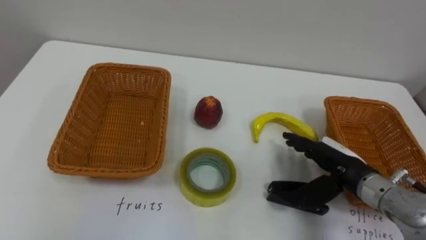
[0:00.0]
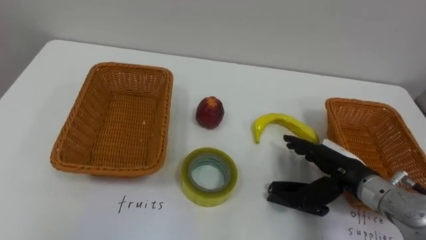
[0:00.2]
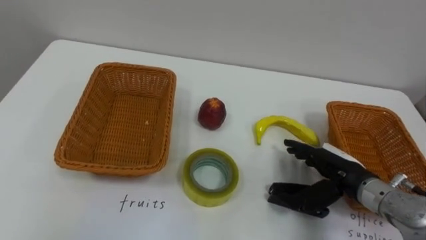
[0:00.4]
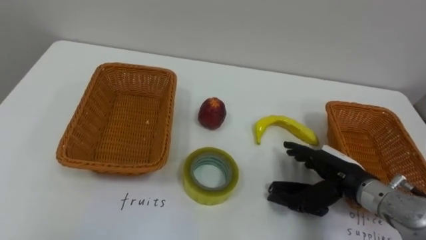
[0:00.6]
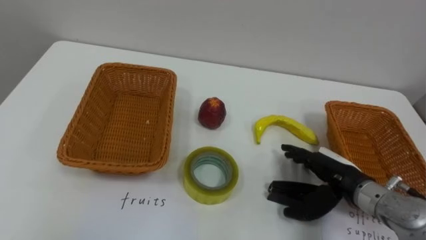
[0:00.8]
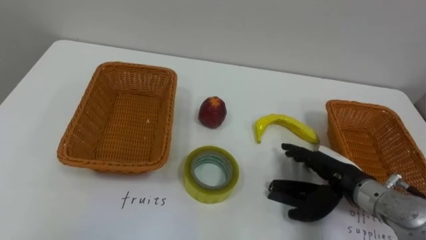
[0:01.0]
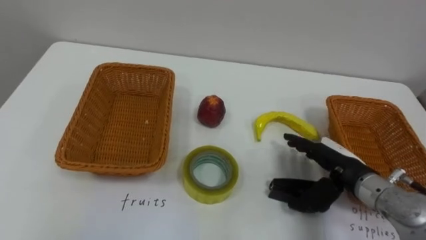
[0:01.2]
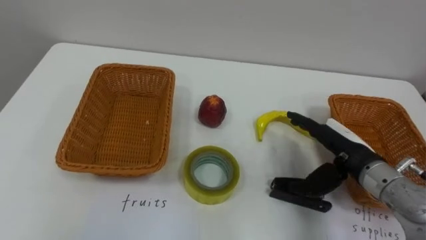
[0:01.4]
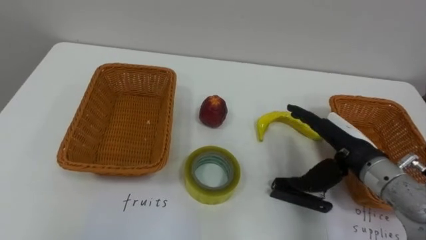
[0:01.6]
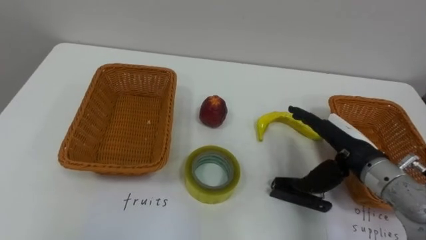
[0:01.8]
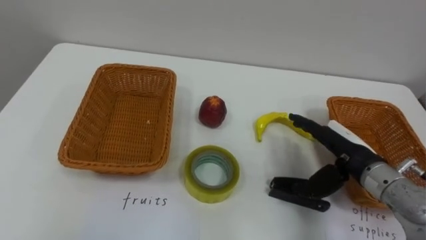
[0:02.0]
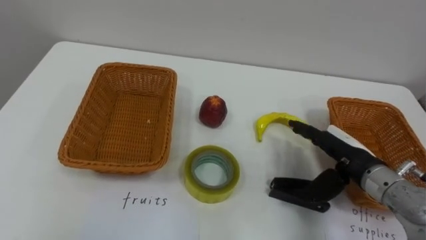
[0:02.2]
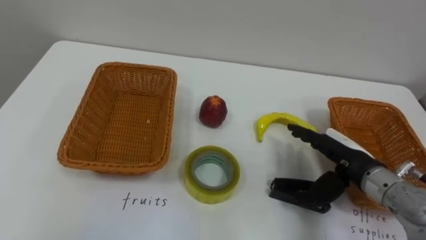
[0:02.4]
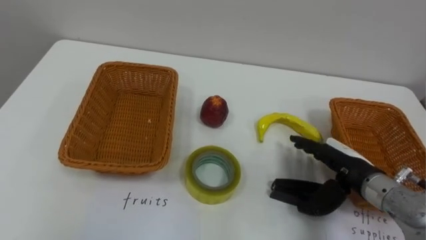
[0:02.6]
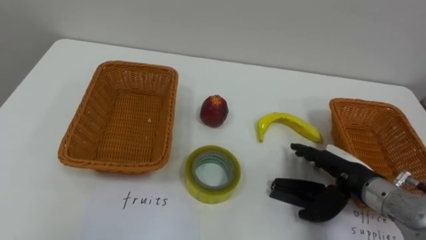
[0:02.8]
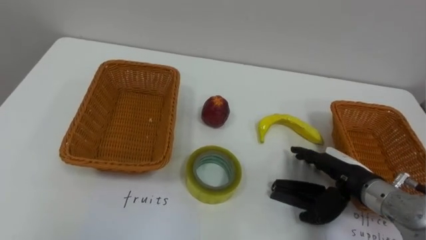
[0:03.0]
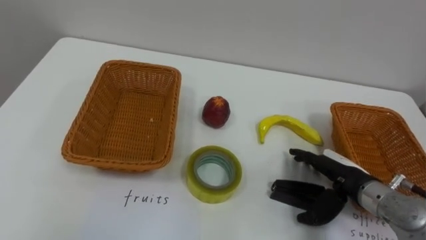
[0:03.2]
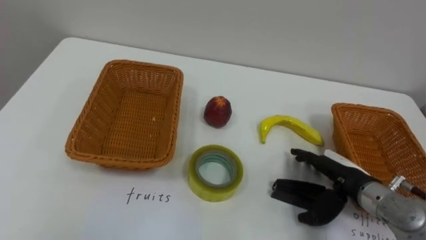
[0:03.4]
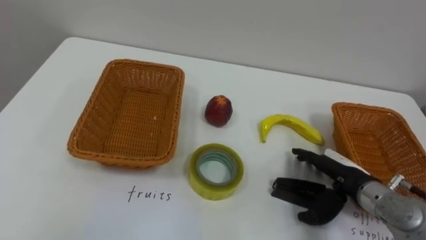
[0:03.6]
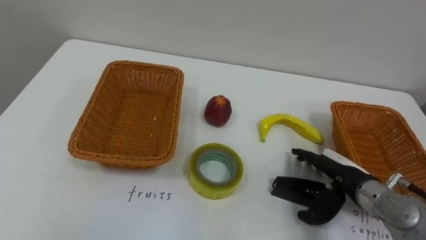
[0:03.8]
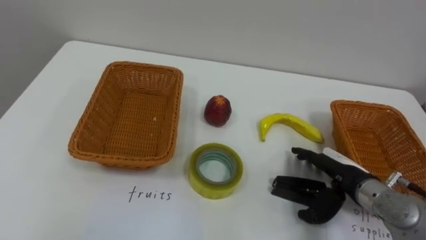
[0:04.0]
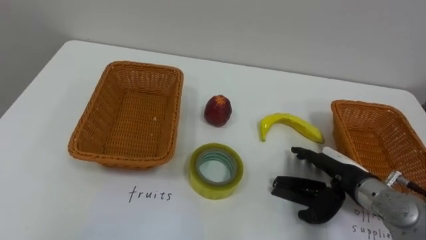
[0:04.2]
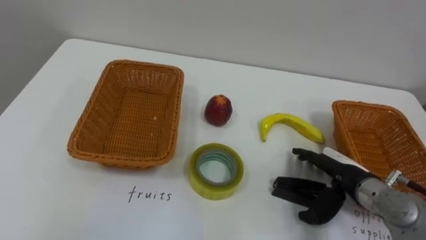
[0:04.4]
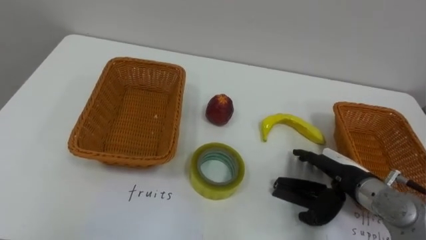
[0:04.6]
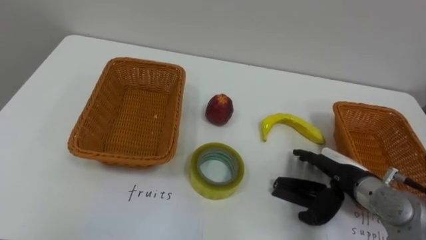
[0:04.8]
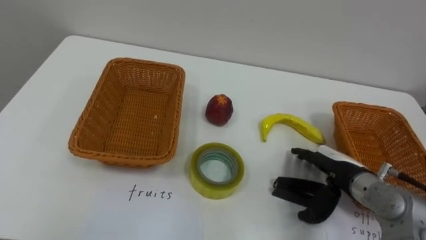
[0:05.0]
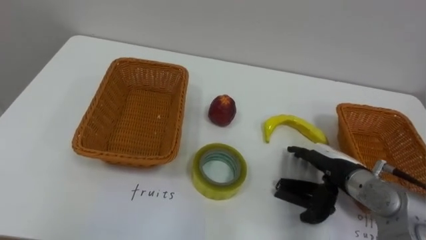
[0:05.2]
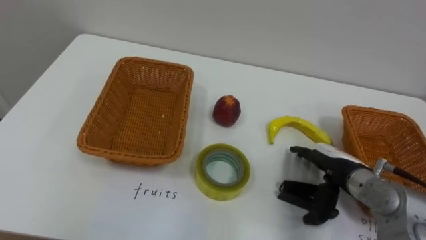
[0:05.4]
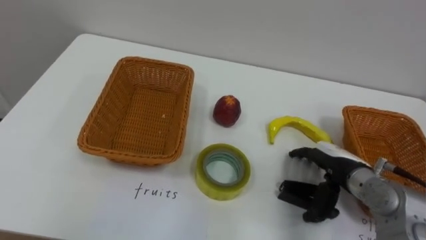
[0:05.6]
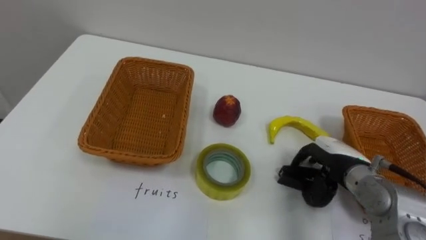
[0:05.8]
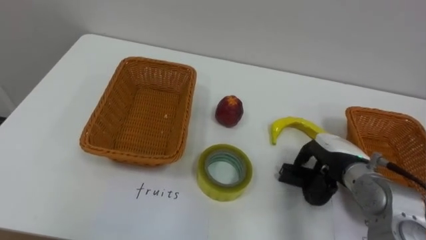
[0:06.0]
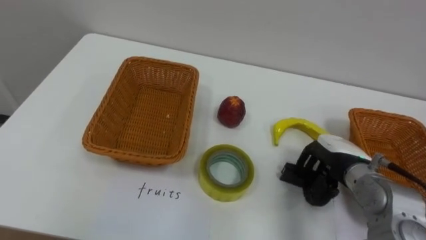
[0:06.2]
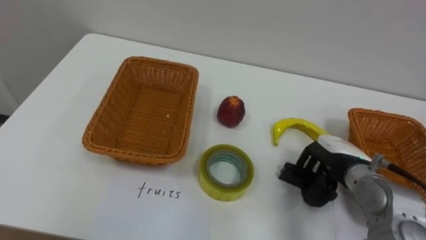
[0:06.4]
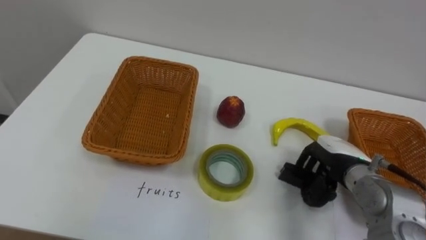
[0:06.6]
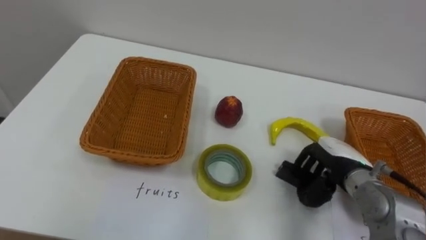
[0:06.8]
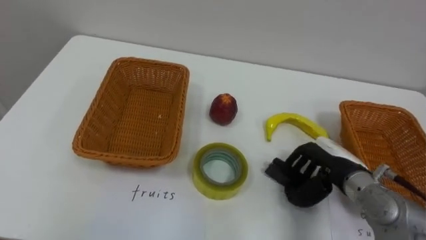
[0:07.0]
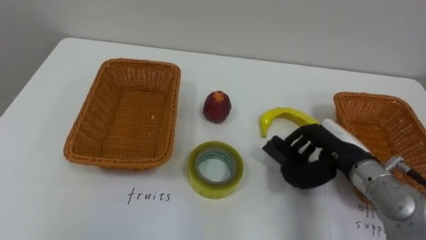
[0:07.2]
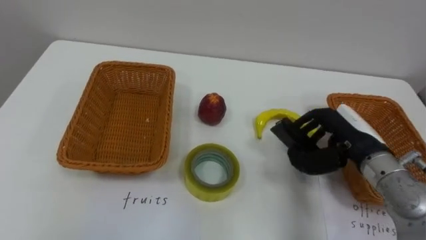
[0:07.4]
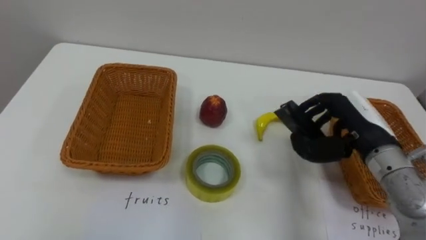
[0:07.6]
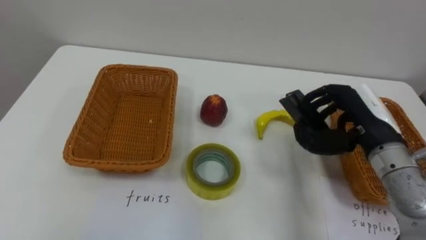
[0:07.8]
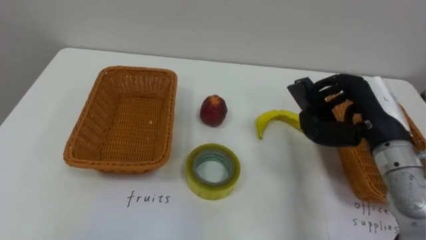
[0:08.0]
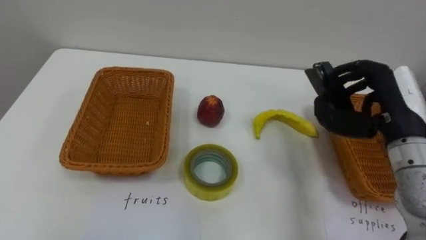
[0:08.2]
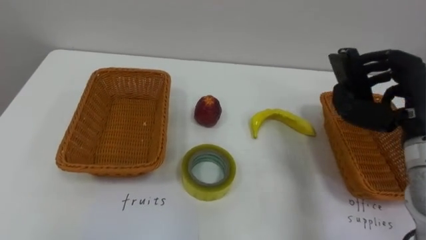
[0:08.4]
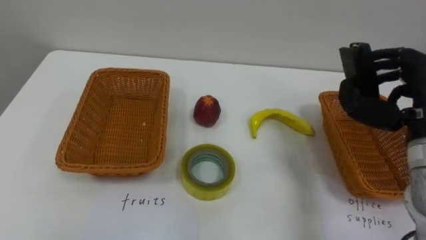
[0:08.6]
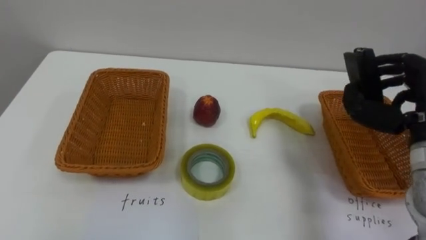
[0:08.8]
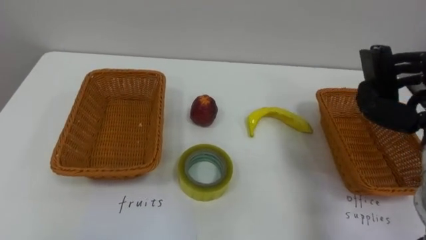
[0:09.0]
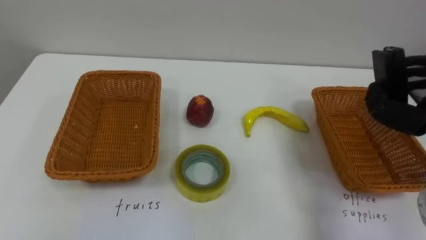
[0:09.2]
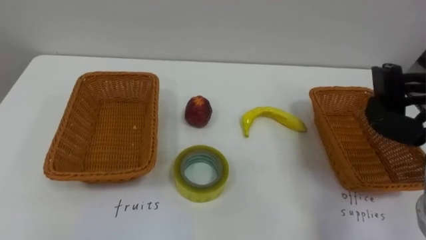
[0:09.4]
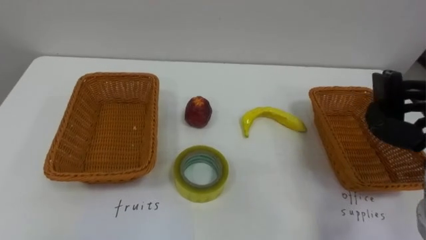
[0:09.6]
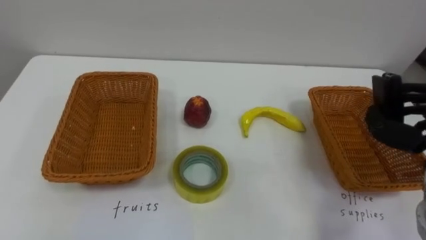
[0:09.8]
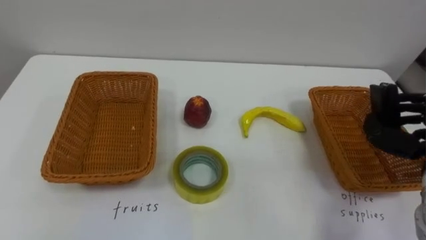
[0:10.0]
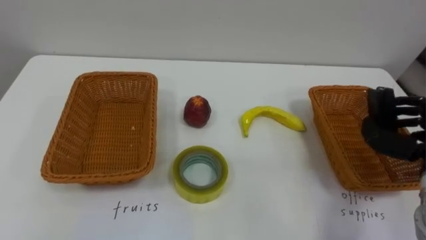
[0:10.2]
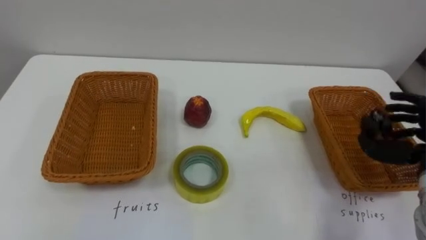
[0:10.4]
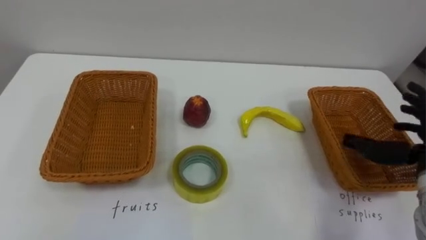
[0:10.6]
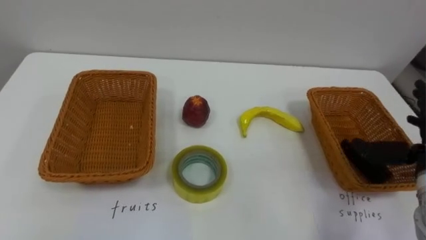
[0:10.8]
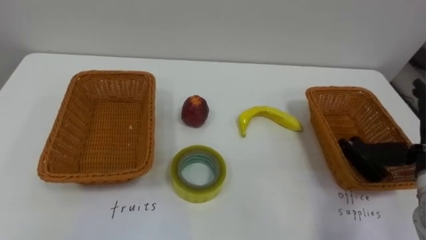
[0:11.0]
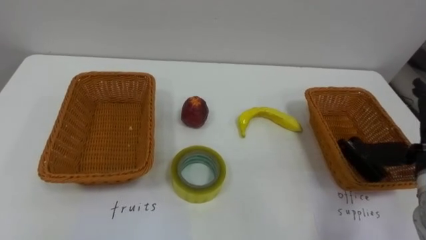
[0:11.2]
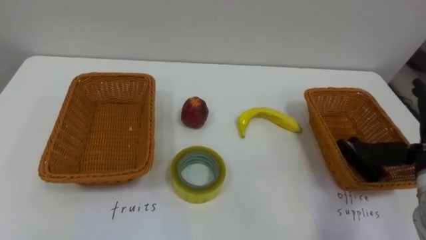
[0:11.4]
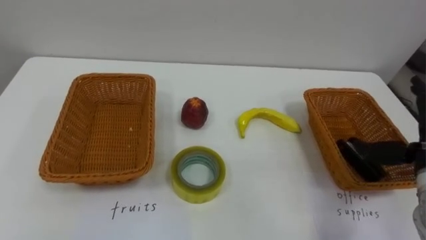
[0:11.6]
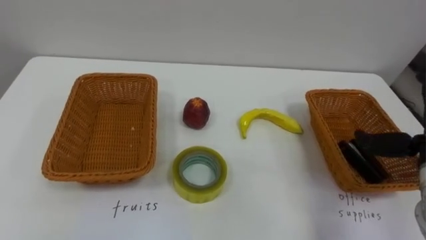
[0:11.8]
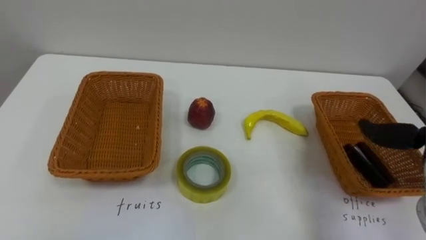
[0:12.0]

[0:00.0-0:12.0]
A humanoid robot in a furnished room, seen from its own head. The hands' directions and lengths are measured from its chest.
Task of the whole recording: Separate the items on the table and place them into the two baskets.
0:01.6 to 0:03.0: The right hand shifts approximately 5 cm downward.
0:04.4 to 0:06.0: The right hand closes.
0:06.0 to 0:07.6: The right hand goes approximately 10 cm upward.

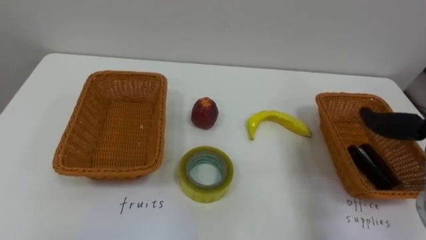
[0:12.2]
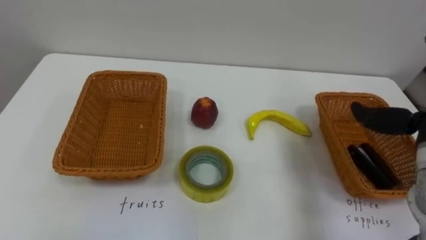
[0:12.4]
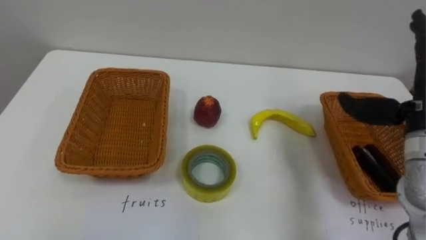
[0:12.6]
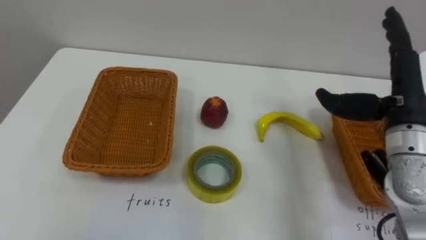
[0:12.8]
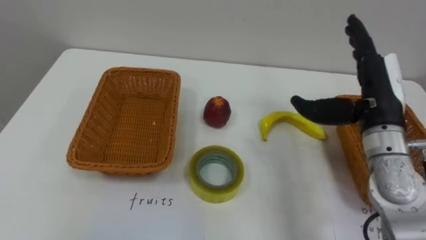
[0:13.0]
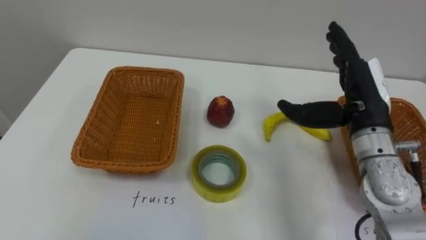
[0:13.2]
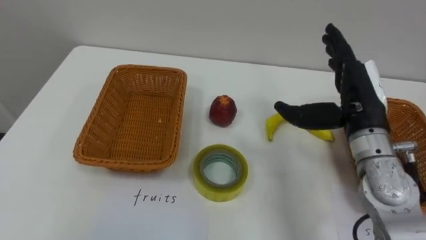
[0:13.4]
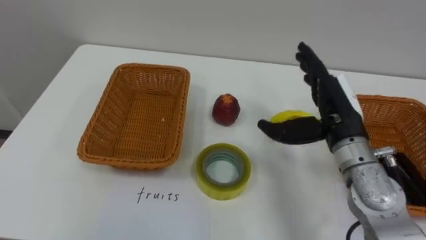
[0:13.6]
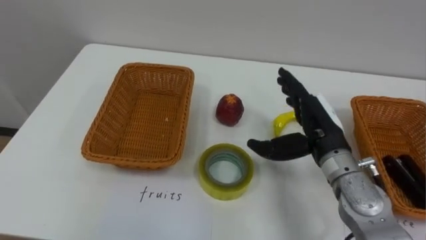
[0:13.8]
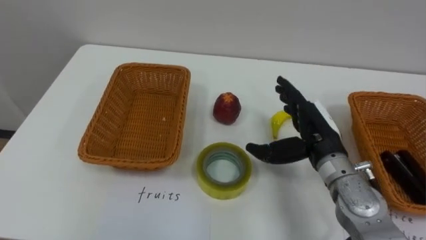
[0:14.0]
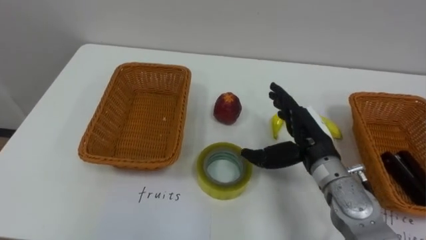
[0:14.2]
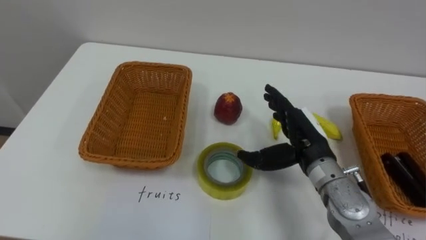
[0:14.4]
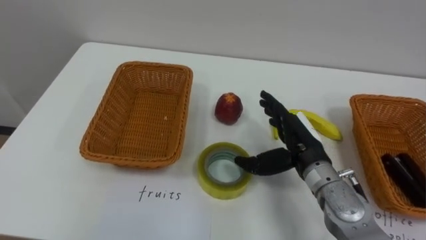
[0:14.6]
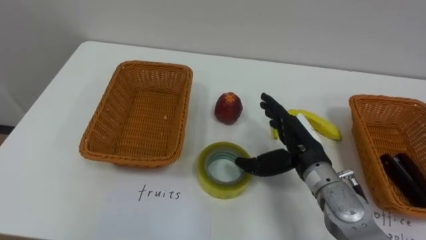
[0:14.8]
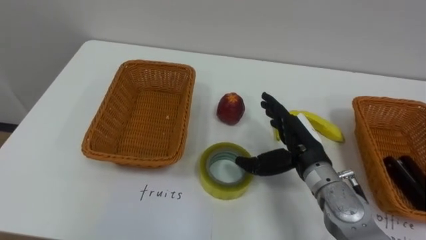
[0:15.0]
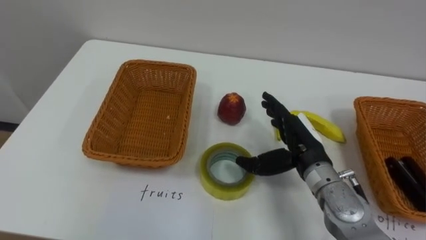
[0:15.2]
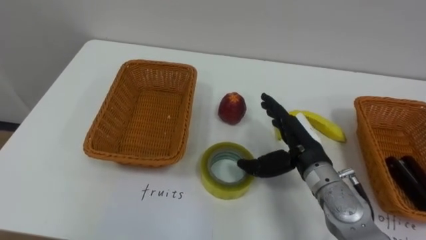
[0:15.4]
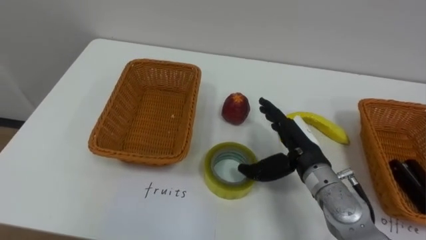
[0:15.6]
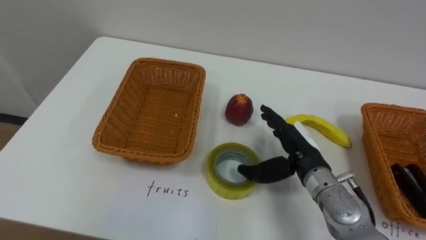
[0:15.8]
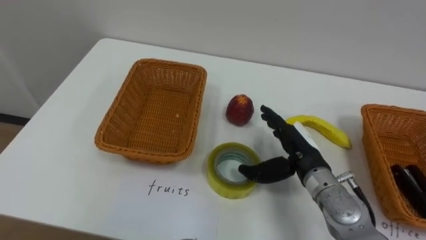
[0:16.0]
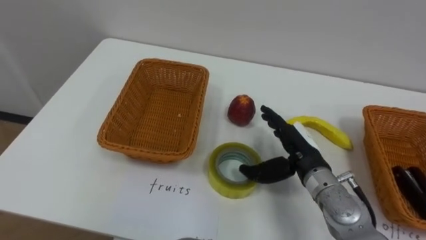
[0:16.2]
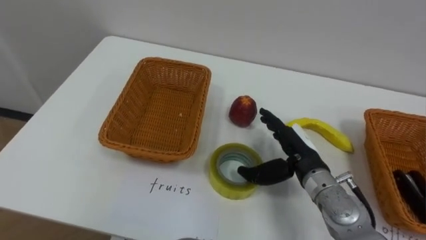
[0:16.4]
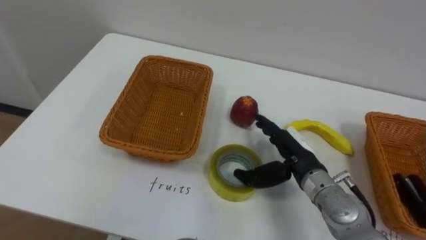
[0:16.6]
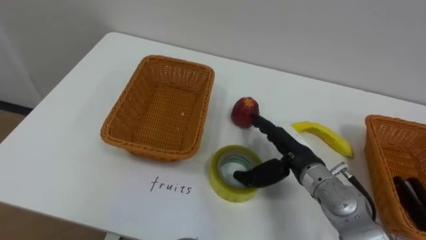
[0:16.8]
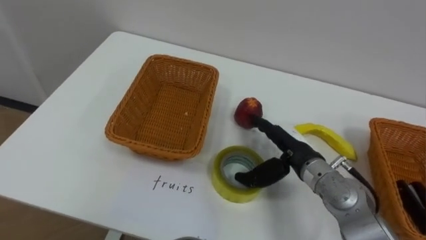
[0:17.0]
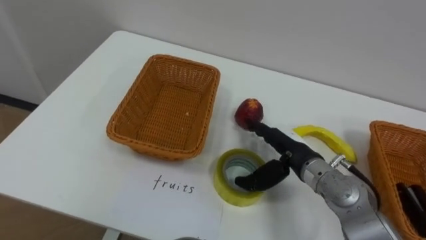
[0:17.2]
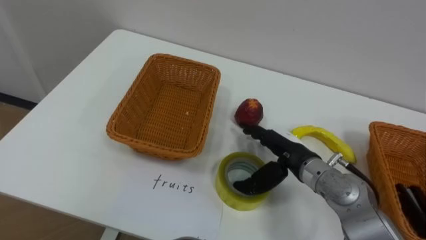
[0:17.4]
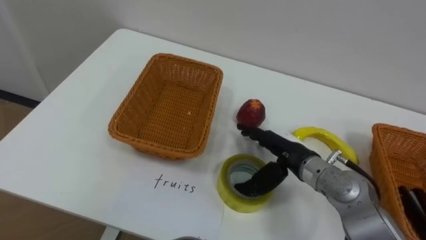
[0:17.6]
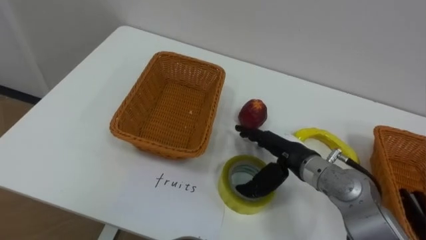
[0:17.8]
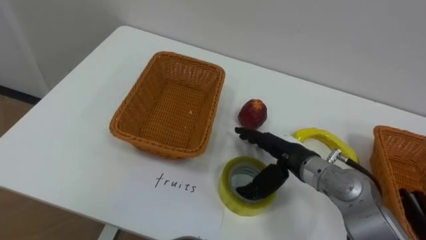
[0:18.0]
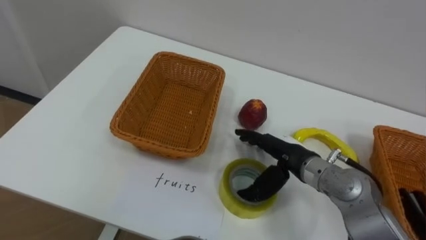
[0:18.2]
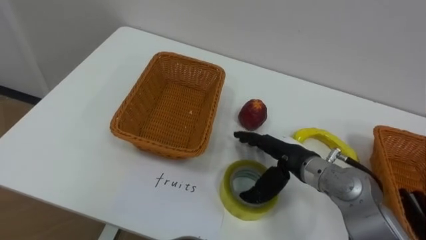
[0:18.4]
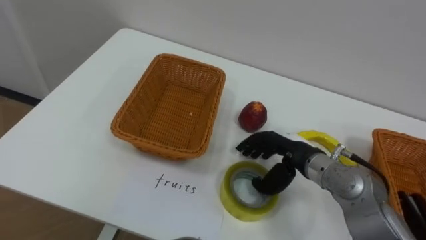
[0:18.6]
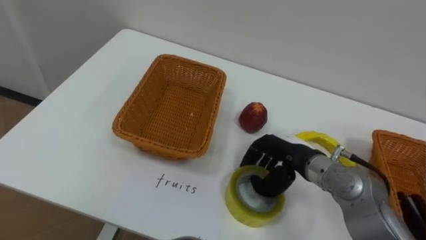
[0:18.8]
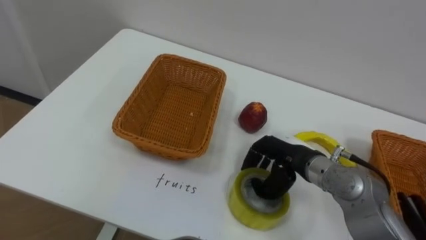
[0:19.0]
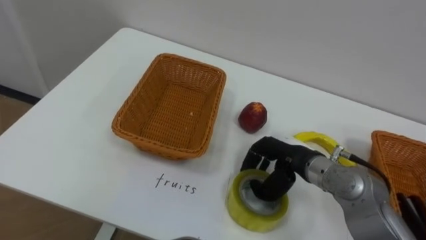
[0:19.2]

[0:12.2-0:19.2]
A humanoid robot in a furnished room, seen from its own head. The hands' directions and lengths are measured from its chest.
Task of the whole recording: Separate the items on the table and place them into the two baskets.
0:13.6 to 0:15.0: The right hand is displaced downward by approximately 10 cm.
0:17.8 to 0:19.2: The right hand closes its fingers.
